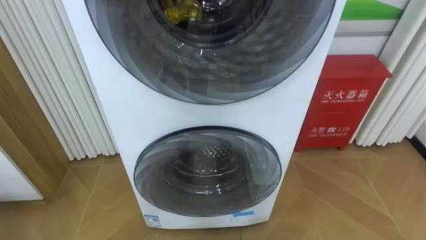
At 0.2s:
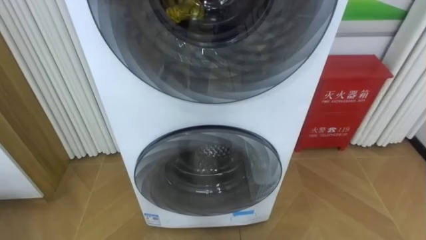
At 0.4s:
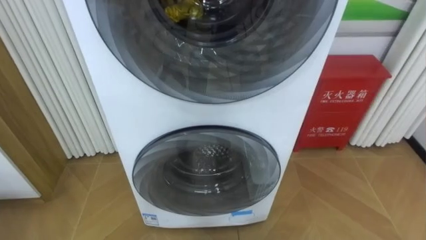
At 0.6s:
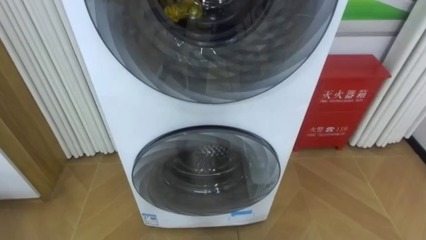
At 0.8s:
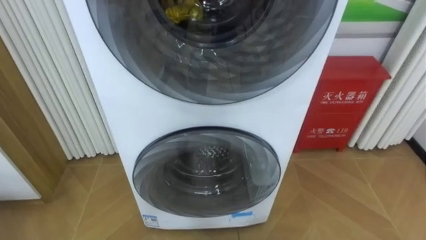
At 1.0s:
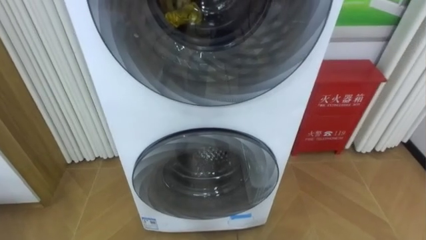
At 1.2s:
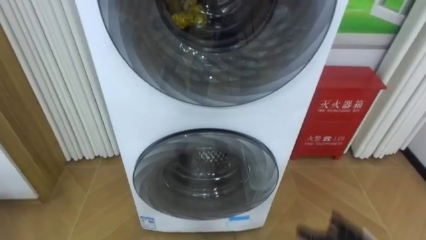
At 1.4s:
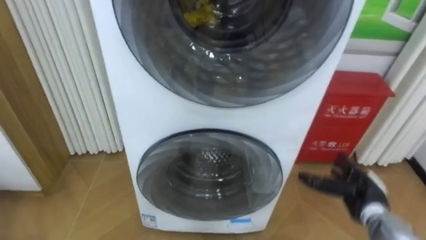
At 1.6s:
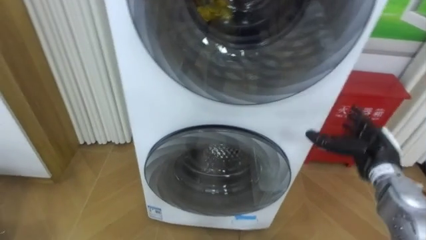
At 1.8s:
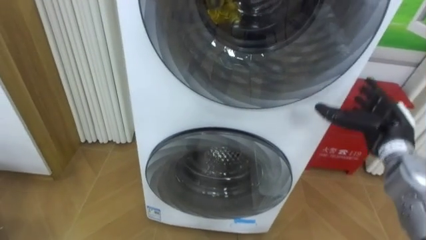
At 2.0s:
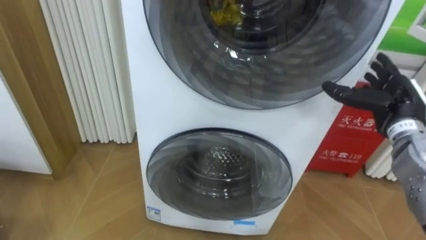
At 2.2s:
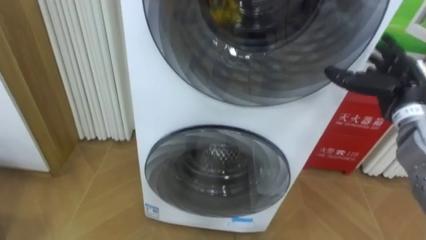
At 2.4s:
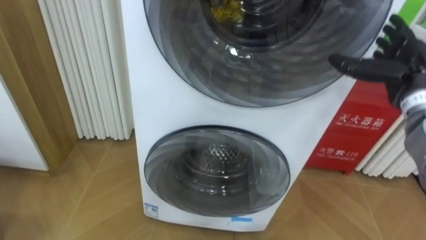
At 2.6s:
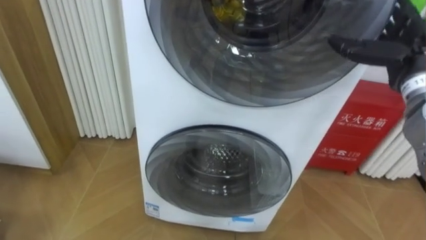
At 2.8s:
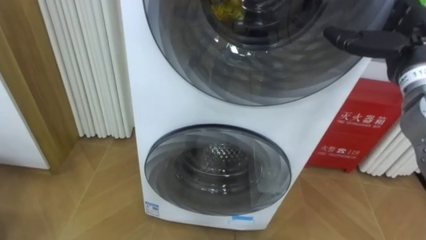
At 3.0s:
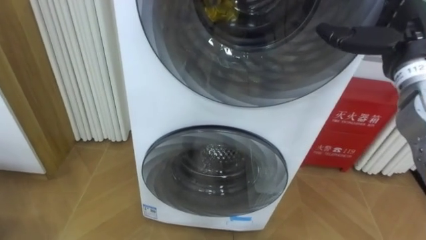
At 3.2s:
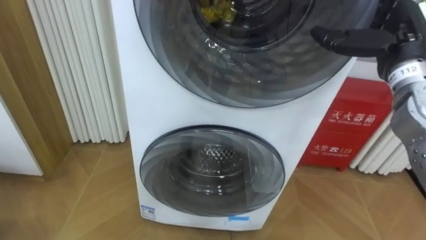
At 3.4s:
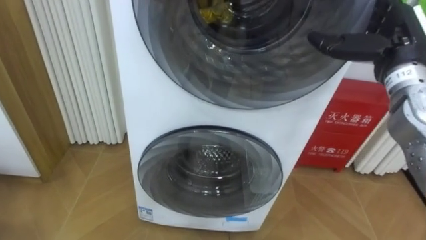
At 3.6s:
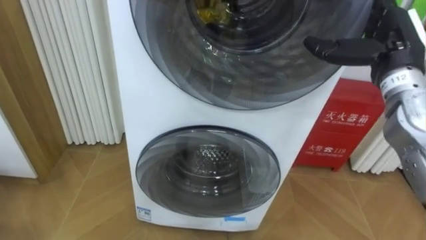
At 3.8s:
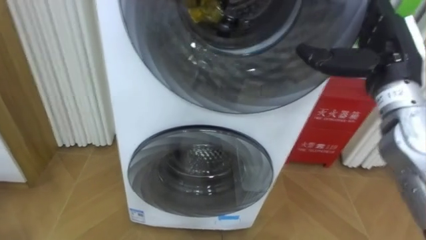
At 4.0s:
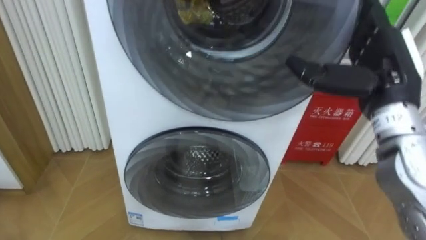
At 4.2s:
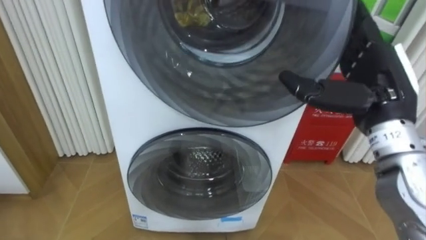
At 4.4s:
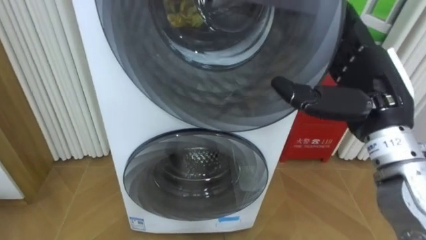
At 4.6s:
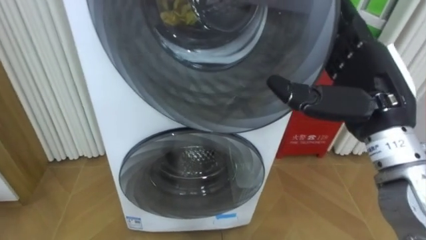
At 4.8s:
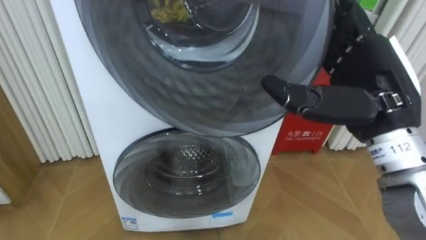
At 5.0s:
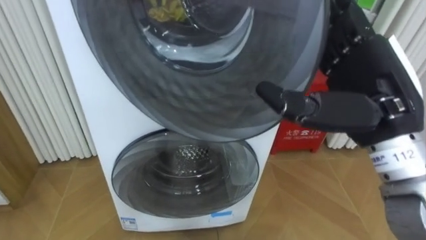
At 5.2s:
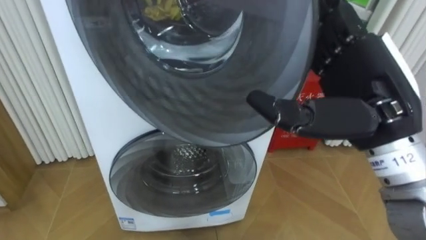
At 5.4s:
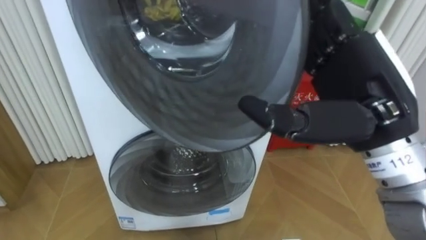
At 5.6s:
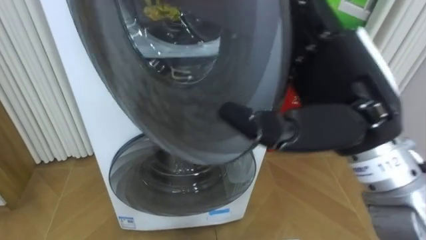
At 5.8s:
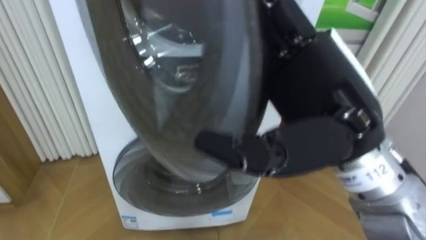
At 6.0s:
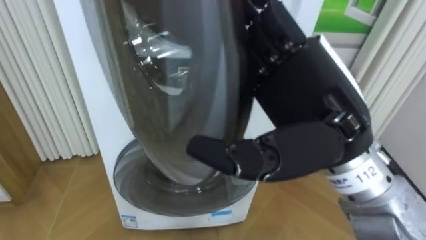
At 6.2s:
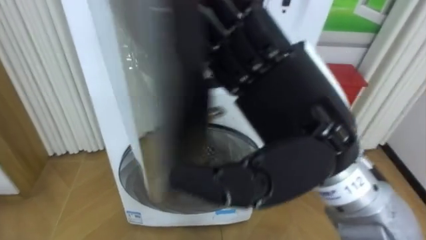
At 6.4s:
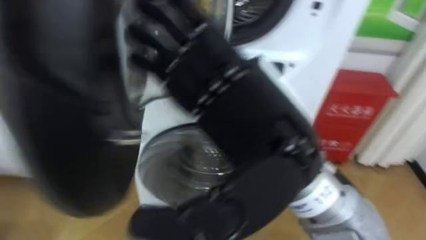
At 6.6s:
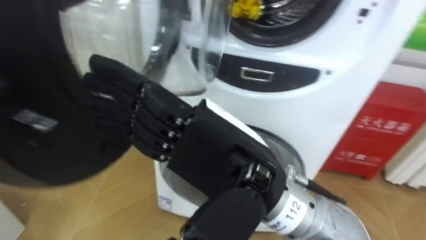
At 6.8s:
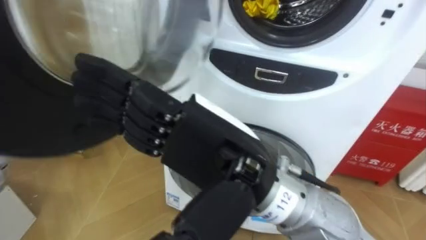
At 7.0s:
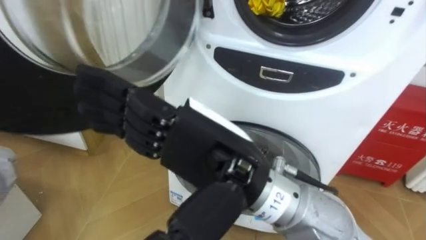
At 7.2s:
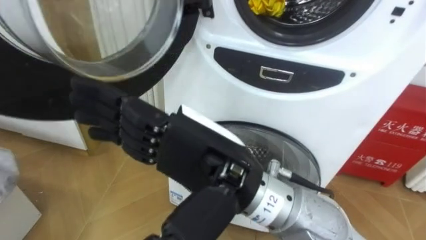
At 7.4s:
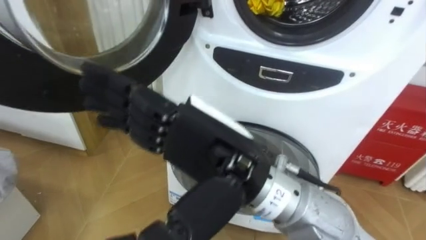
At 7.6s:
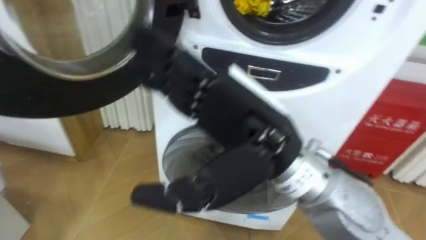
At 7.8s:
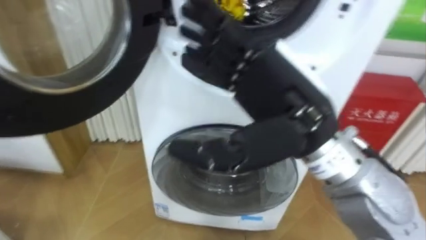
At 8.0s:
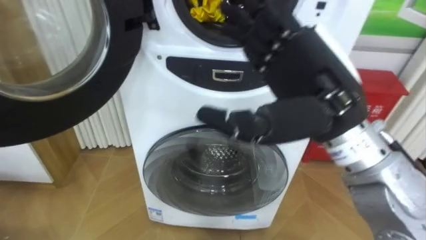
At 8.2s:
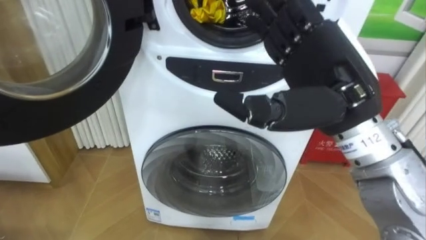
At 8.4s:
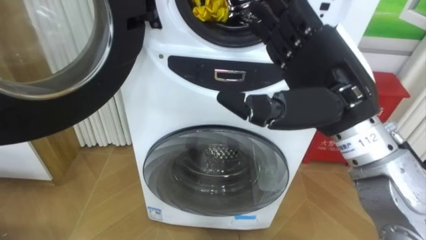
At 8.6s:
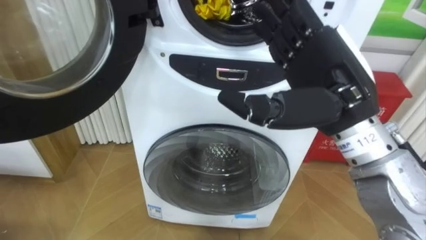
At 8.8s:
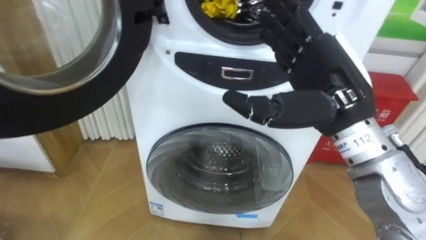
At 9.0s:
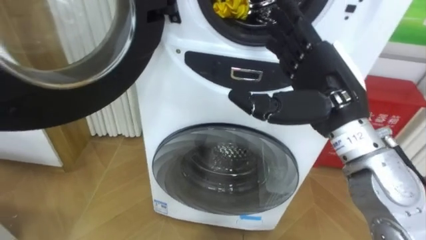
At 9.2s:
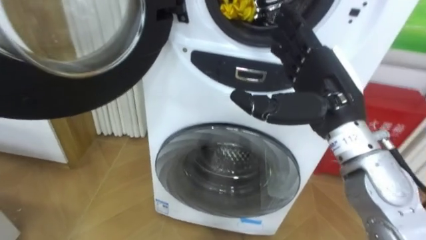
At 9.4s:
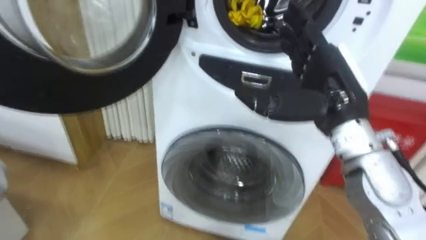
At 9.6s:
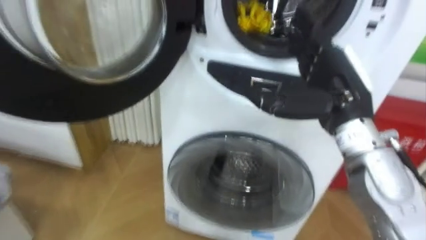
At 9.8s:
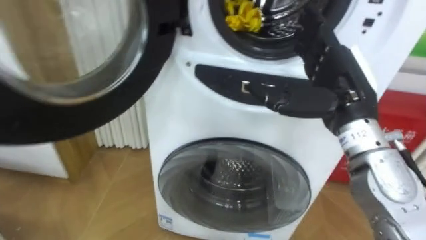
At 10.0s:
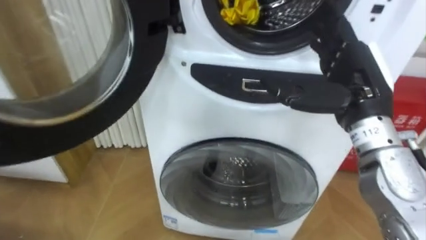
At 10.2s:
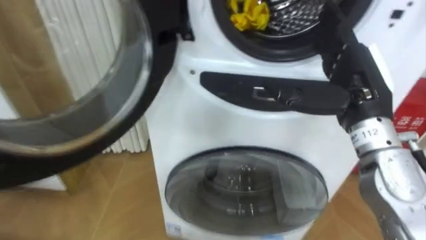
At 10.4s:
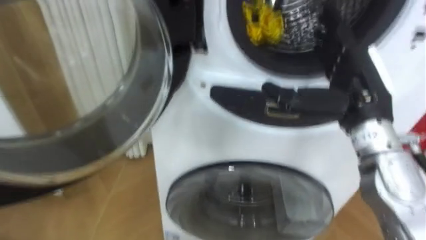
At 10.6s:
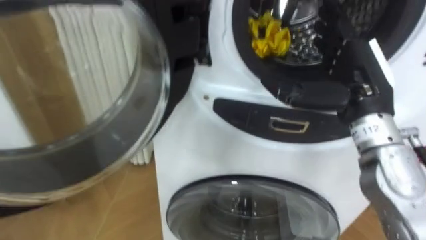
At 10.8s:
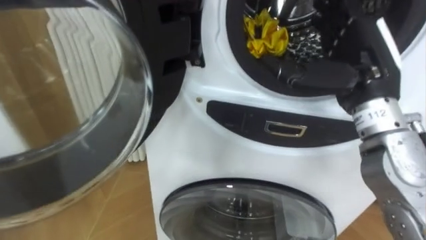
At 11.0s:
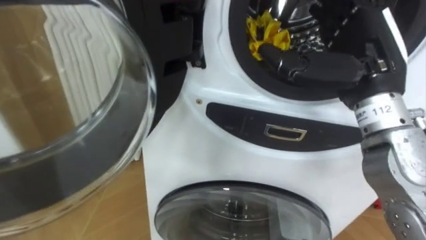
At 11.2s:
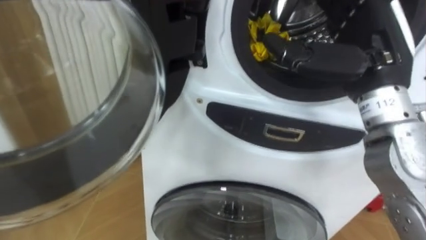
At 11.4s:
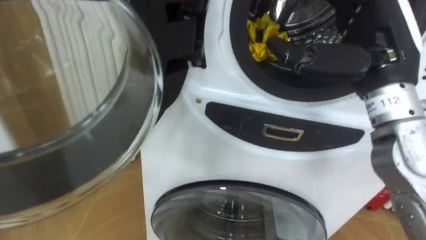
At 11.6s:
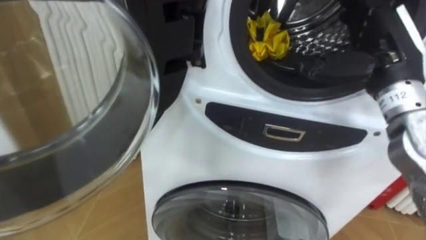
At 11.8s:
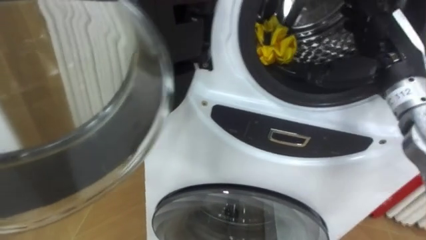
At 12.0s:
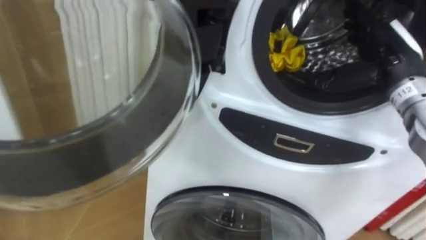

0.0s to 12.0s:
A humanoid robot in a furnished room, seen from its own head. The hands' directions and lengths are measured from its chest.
Task of the whole recording: Open the washing machine door, take out the yellow clothes, place them in the box on the right, and close the washing machine door.
1.6s to 3.0s: The right hand travels upward by about 20 cm.
3.0s to 4.4s: The right hand travels backward and to the left by about 10 cm.
4.4s to 6.0s: The right hand heads to the left and backward, covering approximately 15 cm.
6.0s to 7.6s: The right hand shifts about 5 cm to the left.
7.6s to 9.0s: The right hand goes roughly 15 cm to the right and forward.
9.0s to 10.4s: The right hand shifts by approximately 5 cm.
10.4s to 12.0s: The right hand is displaced to the right and forward by about 10 cm.

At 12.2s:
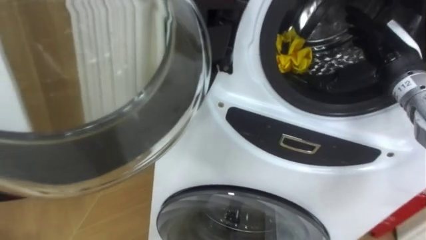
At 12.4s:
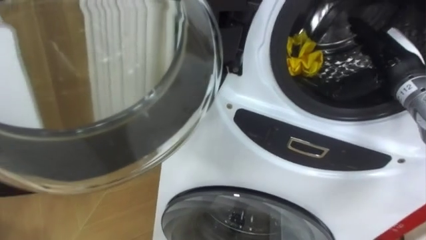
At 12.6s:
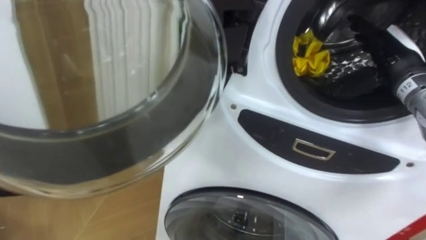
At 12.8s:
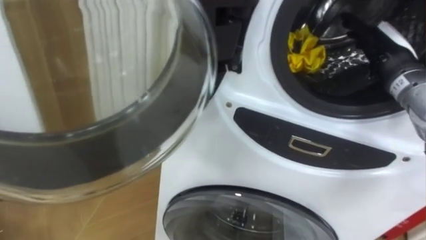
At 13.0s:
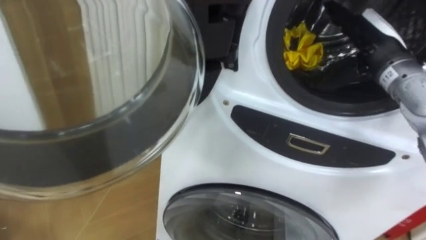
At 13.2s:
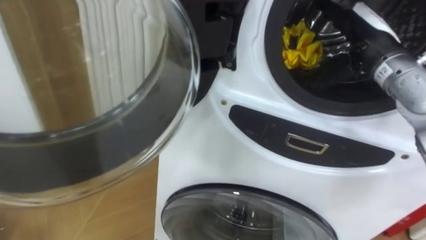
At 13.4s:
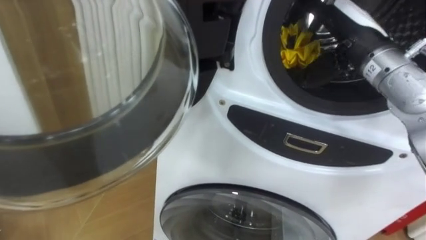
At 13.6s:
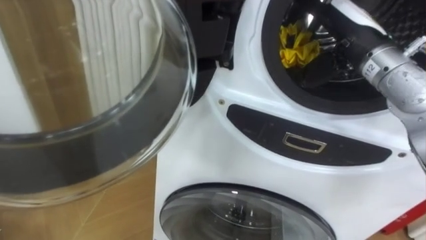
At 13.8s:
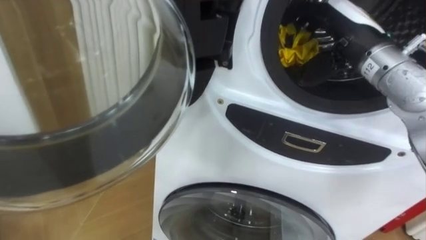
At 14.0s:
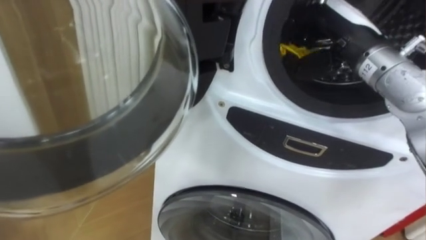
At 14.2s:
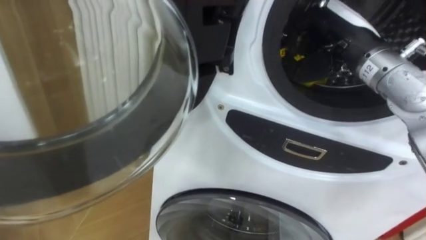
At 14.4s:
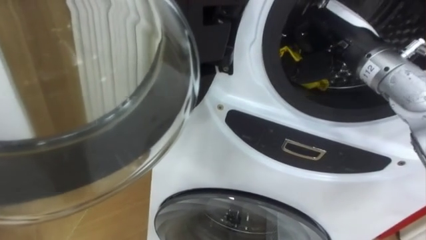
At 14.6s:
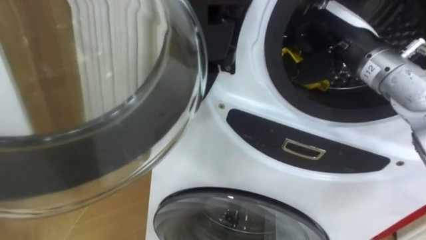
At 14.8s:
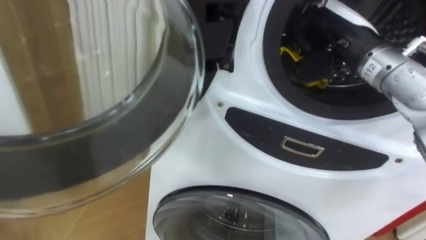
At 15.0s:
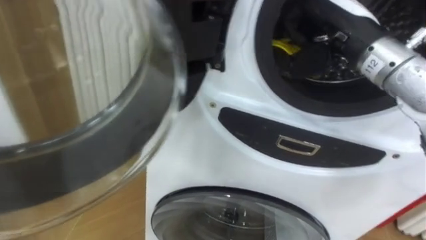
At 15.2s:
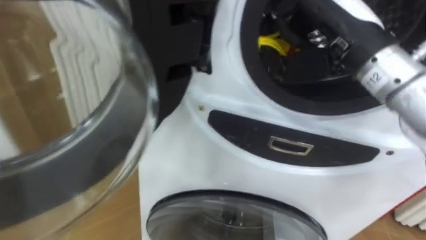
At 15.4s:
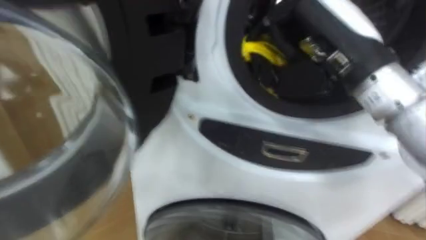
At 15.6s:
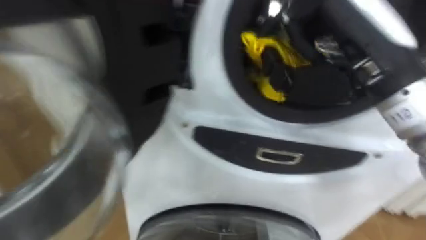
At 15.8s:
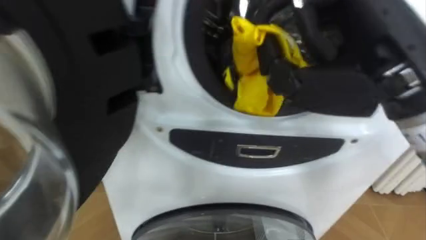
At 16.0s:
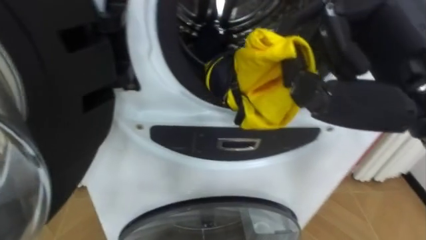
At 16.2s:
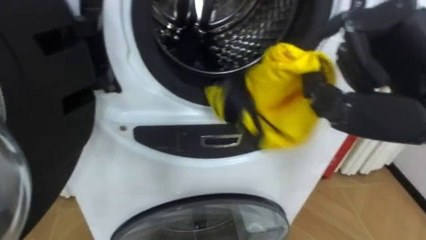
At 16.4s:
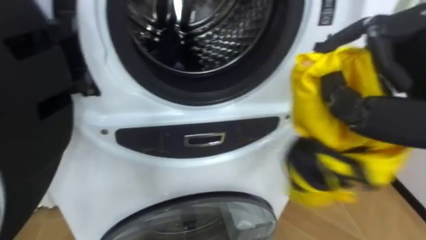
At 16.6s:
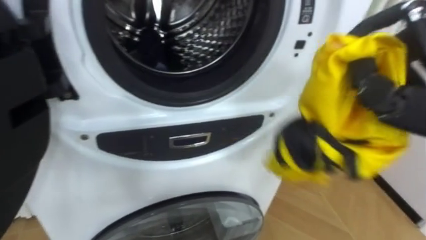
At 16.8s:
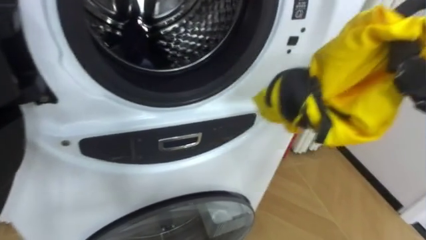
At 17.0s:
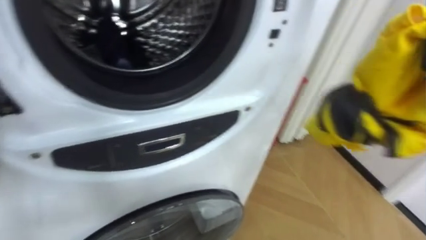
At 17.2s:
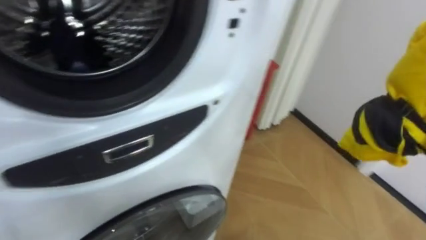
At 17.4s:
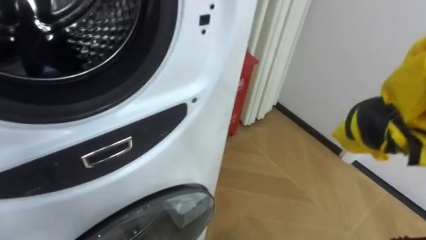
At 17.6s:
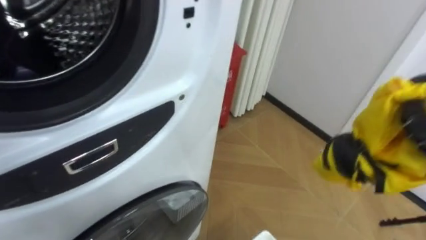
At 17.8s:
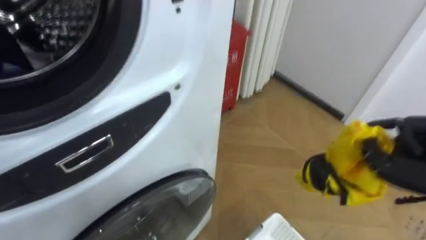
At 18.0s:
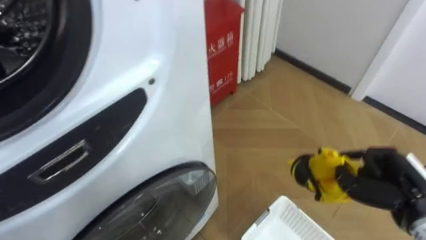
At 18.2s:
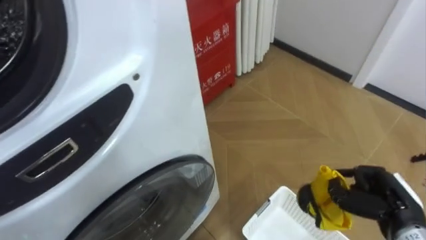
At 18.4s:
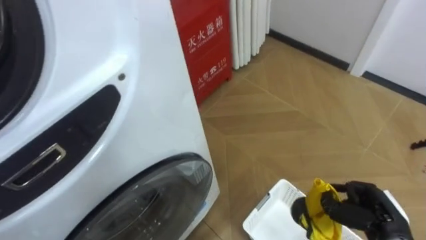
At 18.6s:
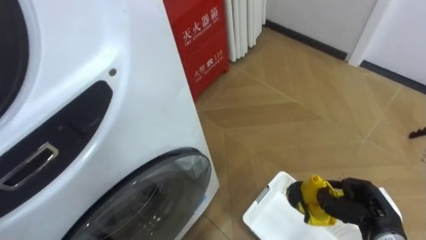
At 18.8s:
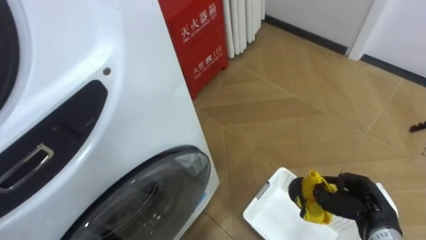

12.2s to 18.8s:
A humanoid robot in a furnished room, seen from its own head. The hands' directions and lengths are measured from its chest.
Task of the whole recording: Open the washing machine door, take out the yellow clothes, place them in the box on the right, and close the washing machine door.
12.2s to 13.8s: The right hand is displaced to the left by about 10 cm.
13.8s to 15.4s: The right hand goes approximately 10 cm backward, and closes its fingers.
